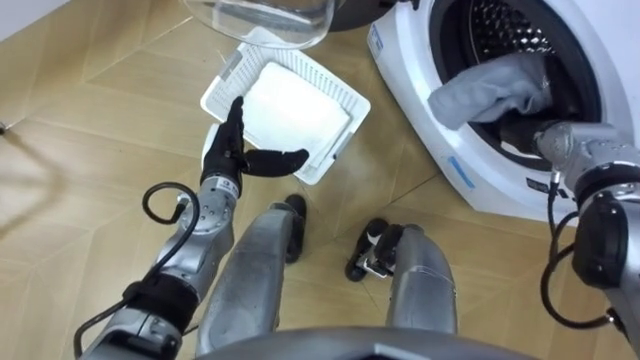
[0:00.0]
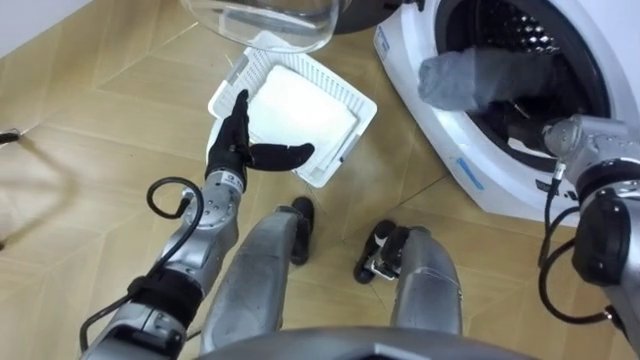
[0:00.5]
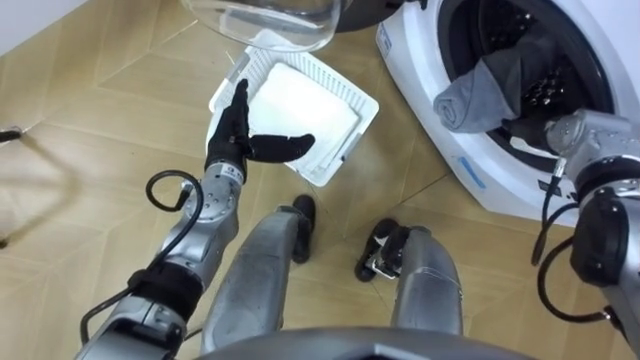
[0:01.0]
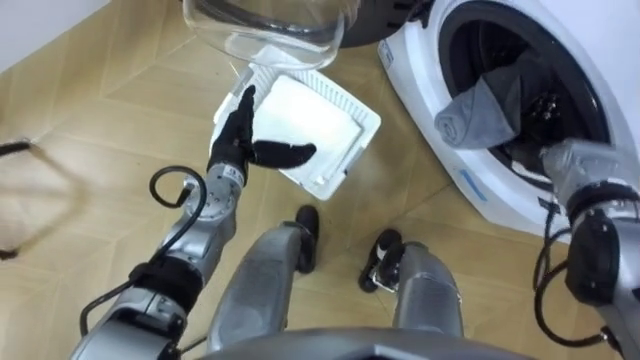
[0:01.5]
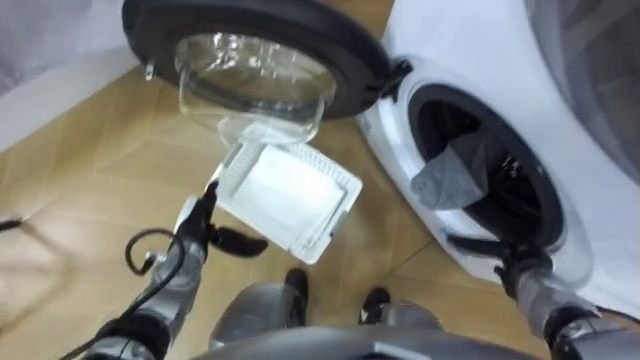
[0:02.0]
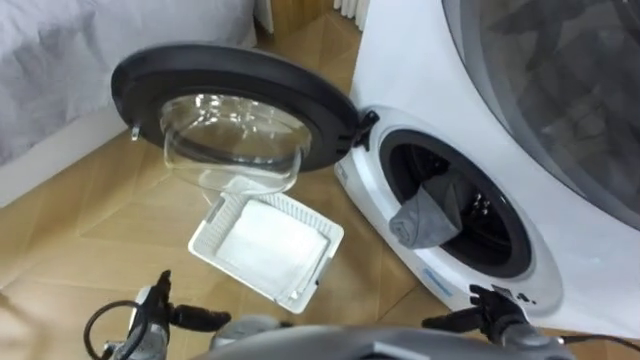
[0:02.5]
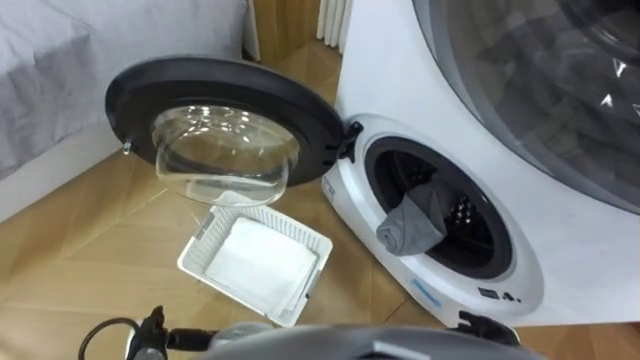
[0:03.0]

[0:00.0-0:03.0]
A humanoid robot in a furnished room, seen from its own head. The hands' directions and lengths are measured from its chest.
Task of the whole recording: Take the towel from the basket and put it into the washing machine.
0:00.0 to 0:01.5: The right hand opens its fingers.
0:01.5 to 0:03.0: The left hand goes some 35 cm backward, downward and to the left. The right hand heads backward and downward, covering some 30 cm.

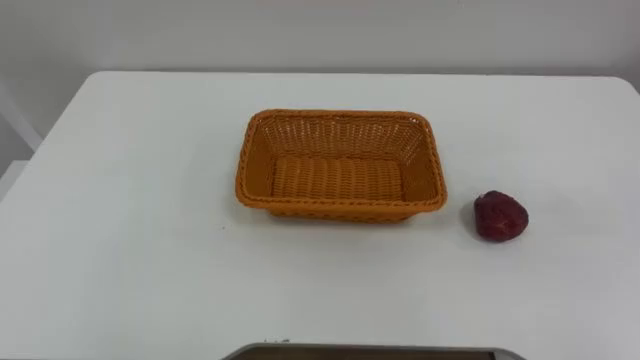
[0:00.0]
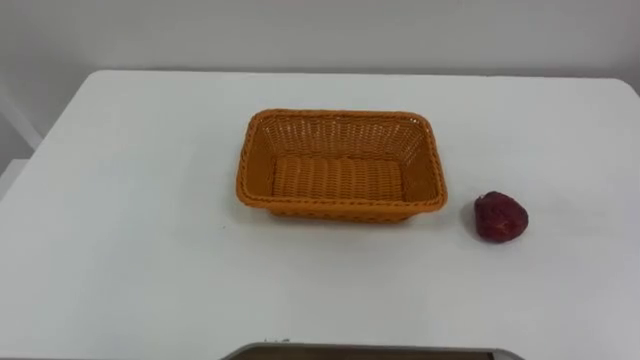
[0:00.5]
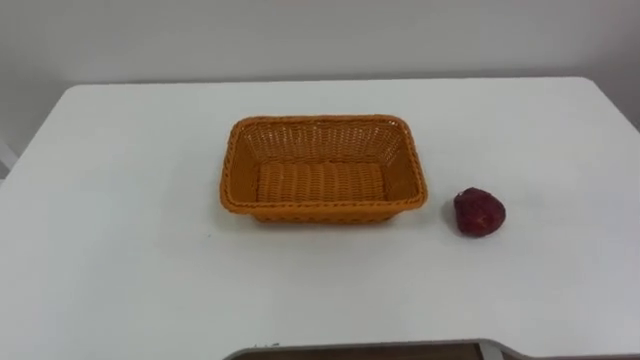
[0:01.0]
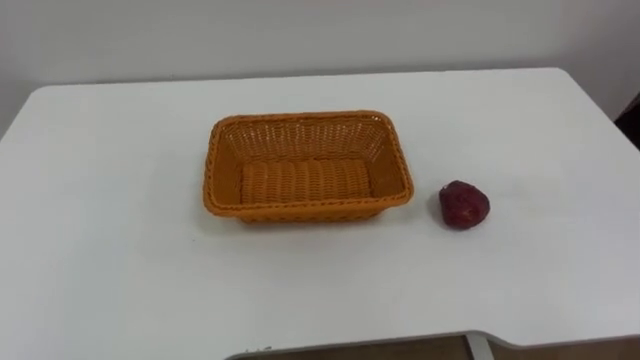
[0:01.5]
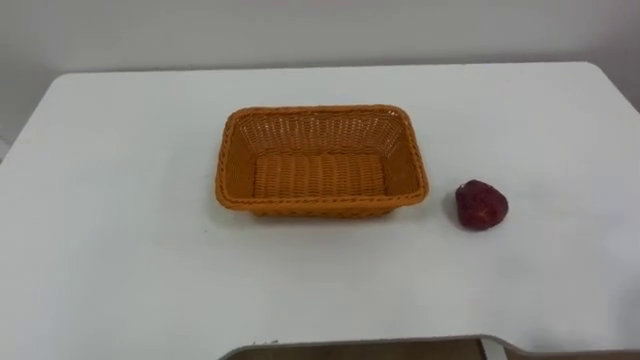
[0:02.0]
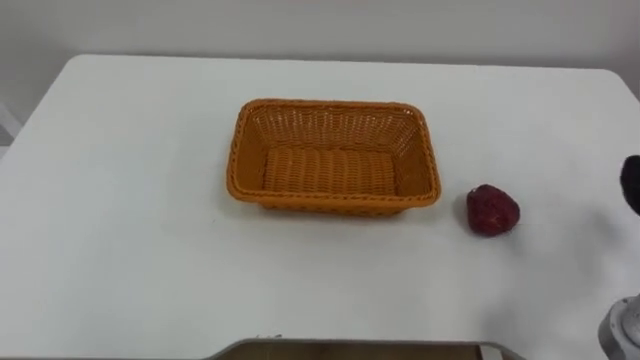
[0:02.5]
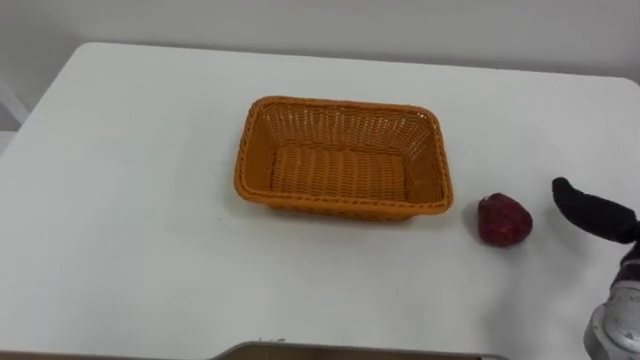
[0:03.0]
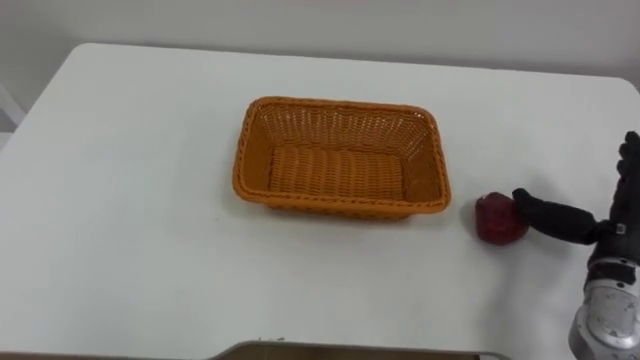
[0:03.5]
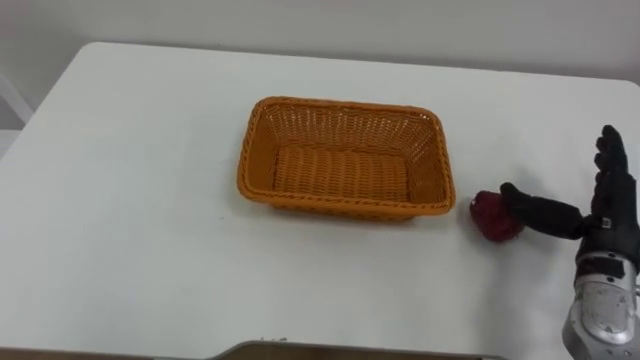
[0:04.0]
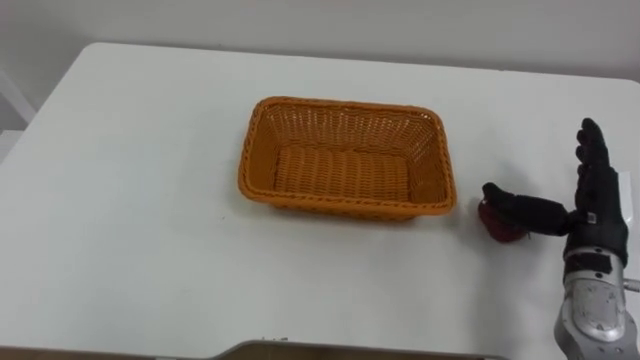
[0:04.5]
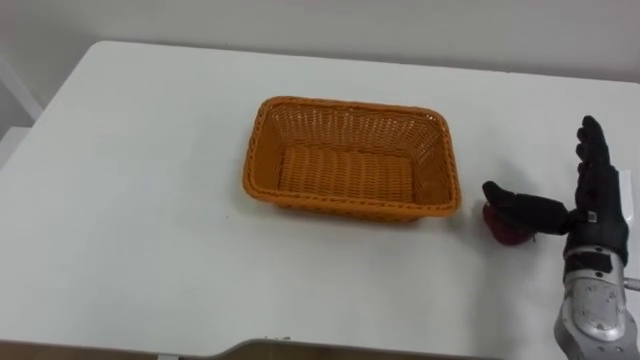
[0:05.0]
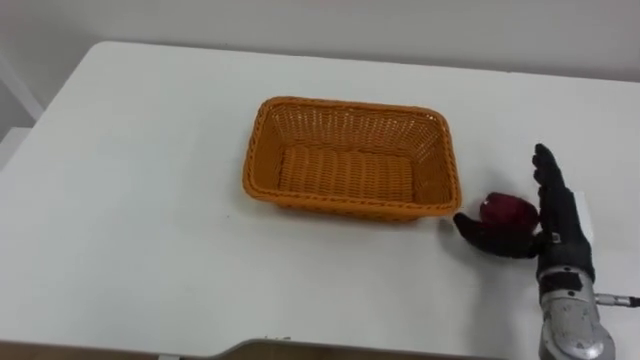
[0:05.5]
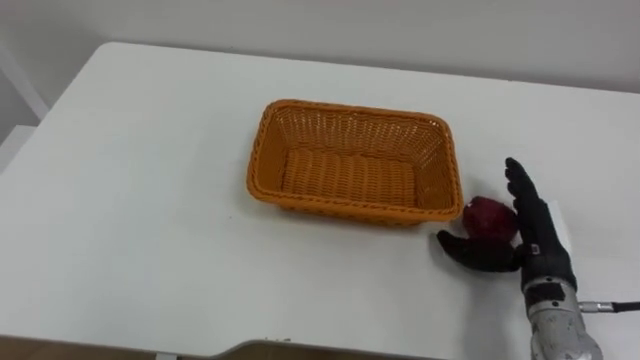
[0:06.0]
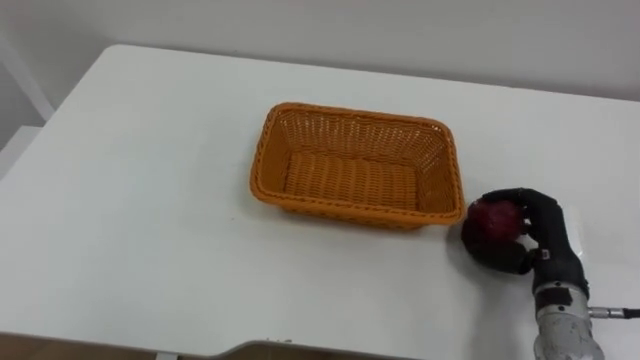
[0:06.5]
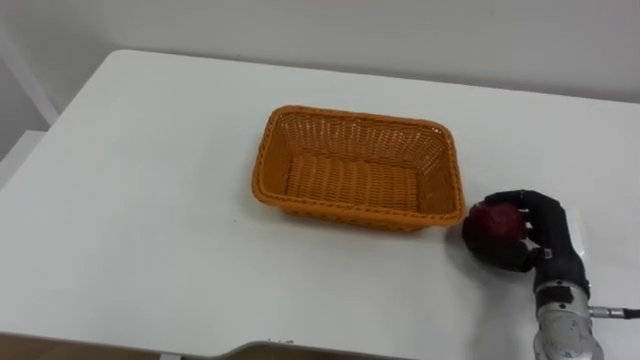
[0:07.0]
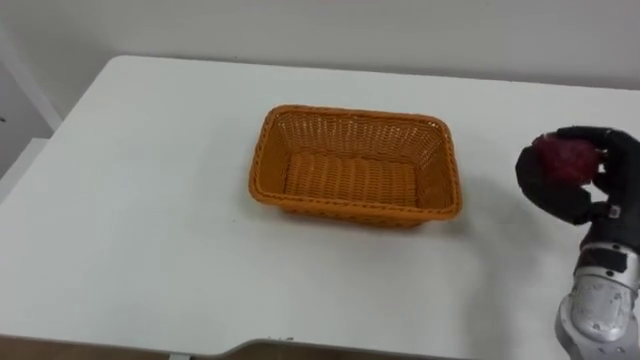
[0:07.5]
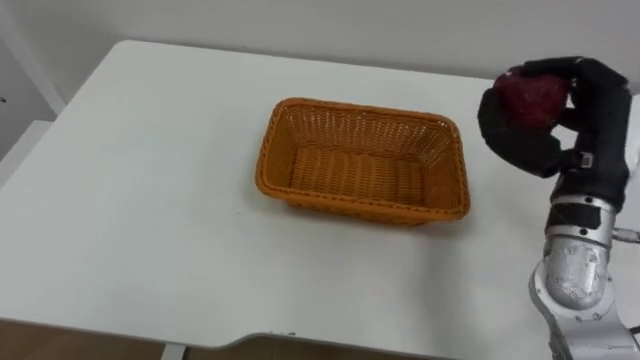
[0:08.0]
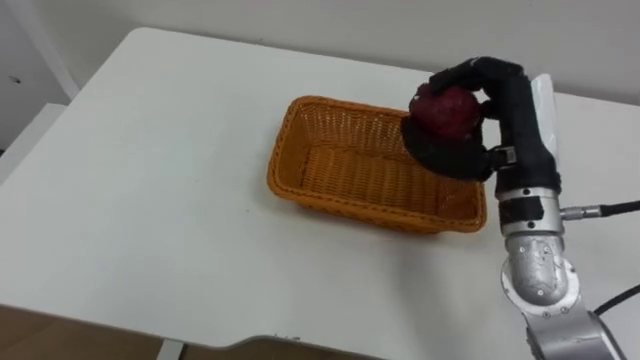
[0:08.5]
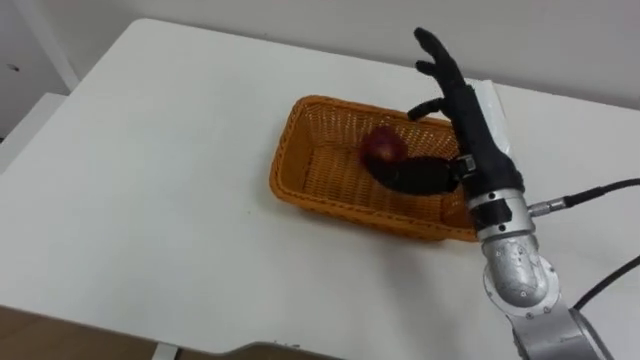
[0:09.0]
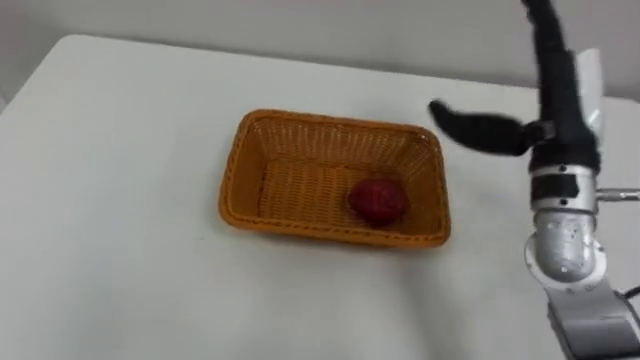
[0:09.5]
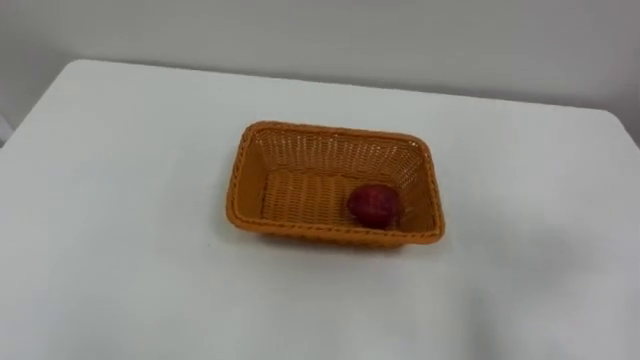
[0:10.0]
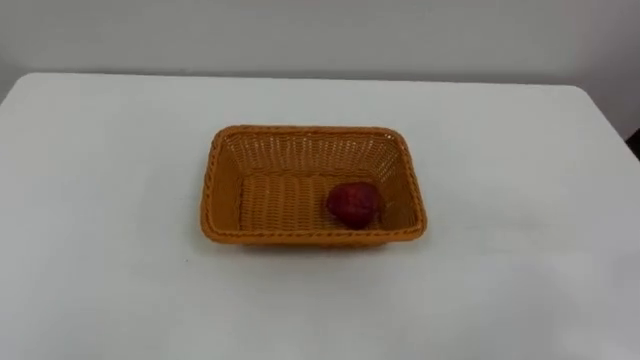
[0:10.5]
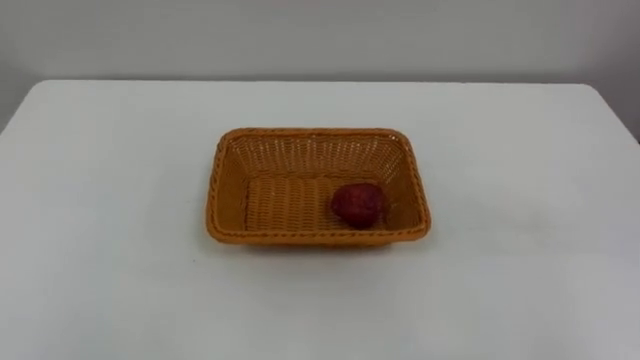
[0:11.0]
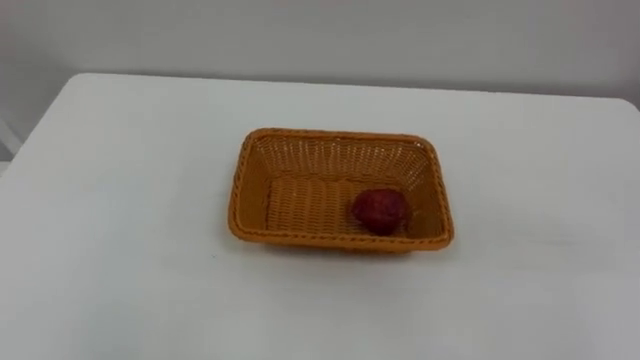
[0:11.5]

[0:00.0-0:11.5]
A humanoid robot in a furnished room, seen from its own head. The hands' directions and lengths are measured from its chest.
Task of the whole recording: Pick the apple and place it in the box.
0:04.0 to 0:06.0: The right hand travels to the left by about 5 cm.
0:06.0 to 0:07.5: The right hand travels upward and to the right by some 10 cm, and closes up.
0:07.5 to 0:09.5: The right hand moves to the left, upward and forward, about 15 cm, and opens up.

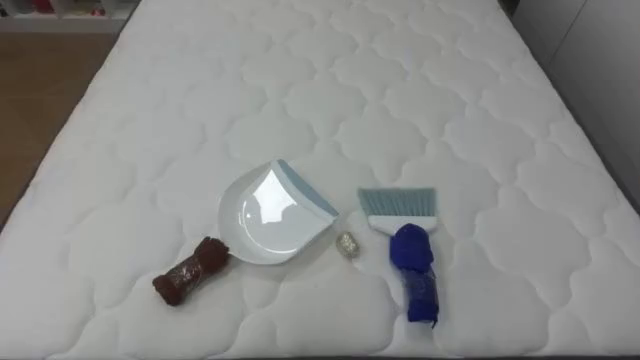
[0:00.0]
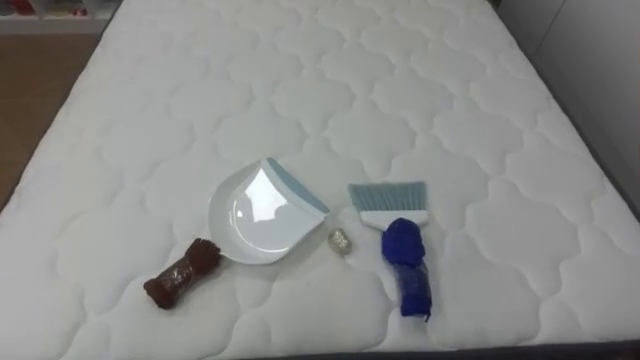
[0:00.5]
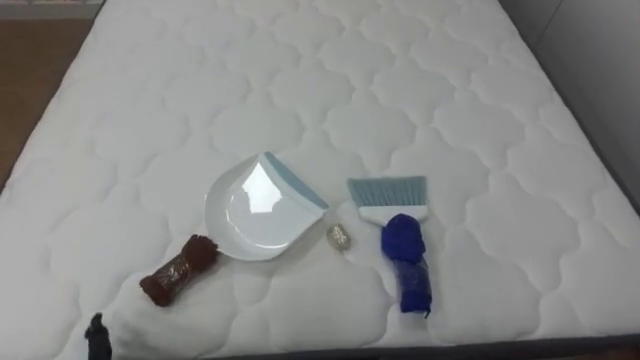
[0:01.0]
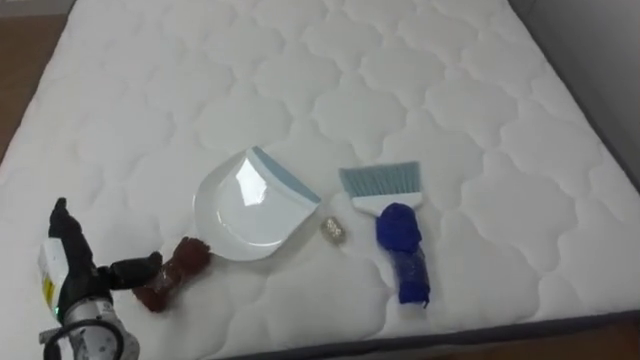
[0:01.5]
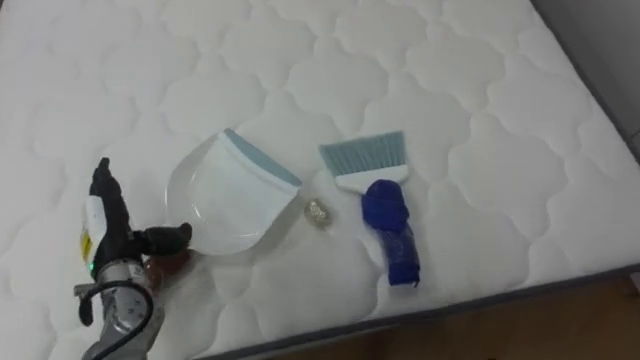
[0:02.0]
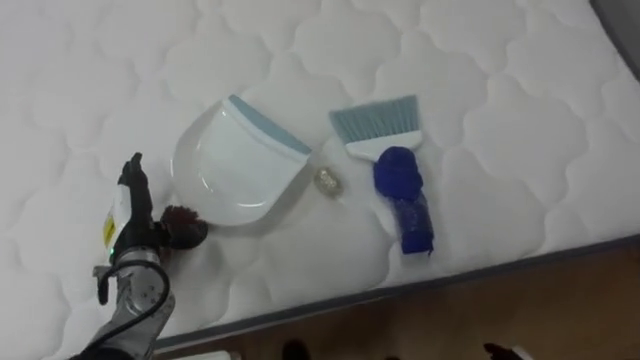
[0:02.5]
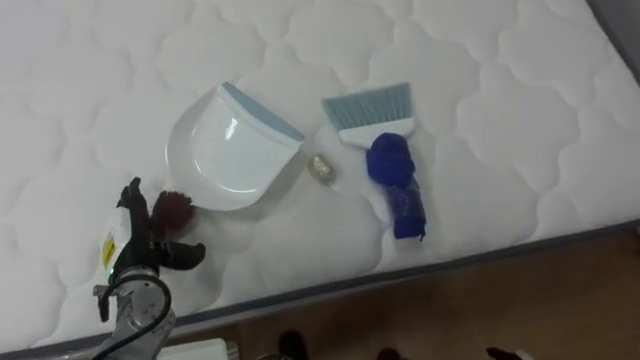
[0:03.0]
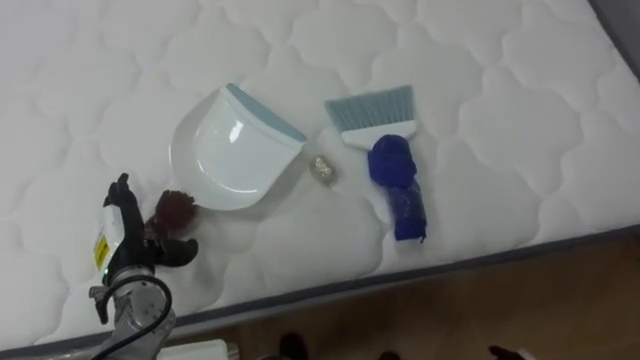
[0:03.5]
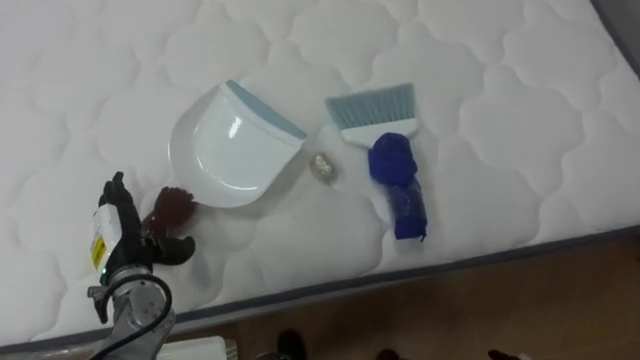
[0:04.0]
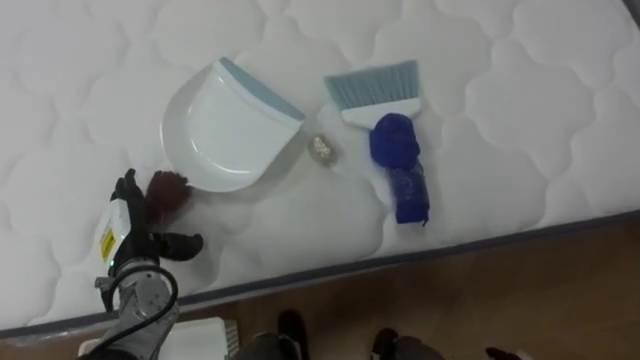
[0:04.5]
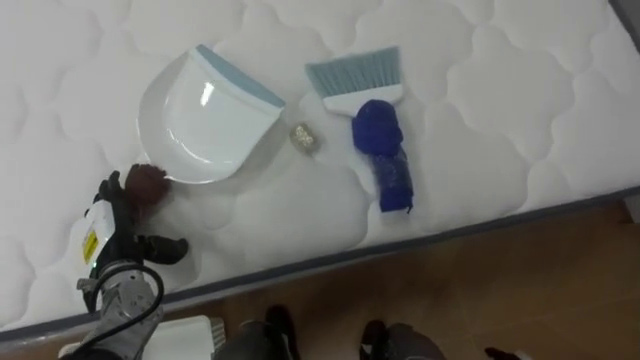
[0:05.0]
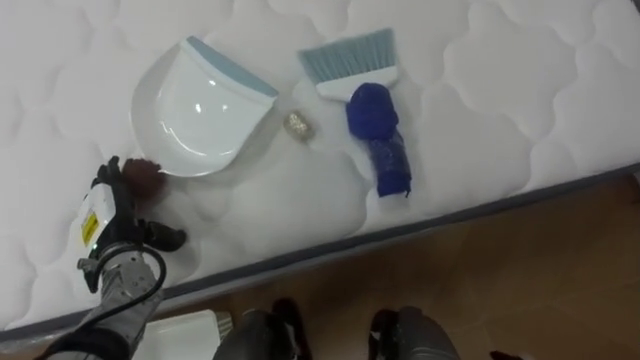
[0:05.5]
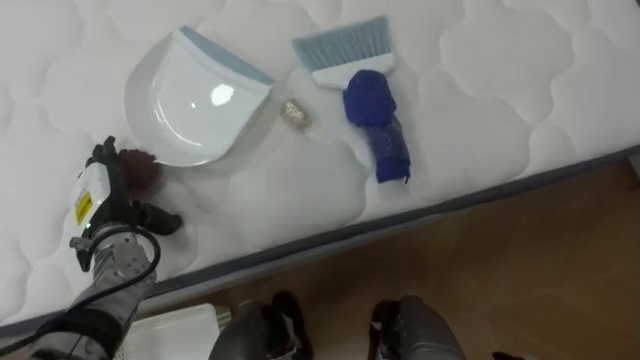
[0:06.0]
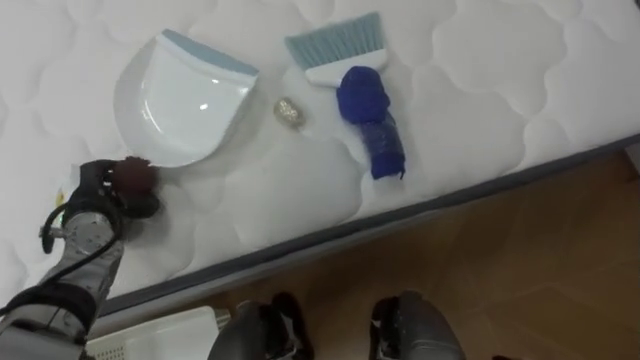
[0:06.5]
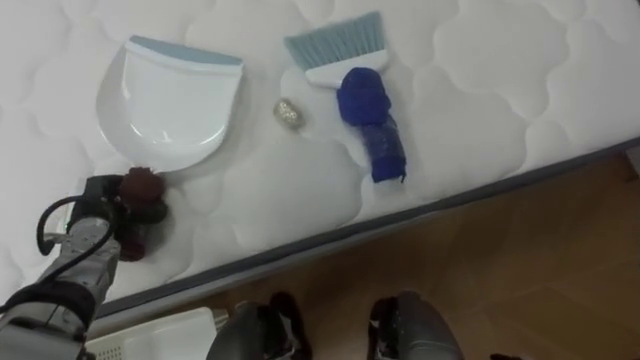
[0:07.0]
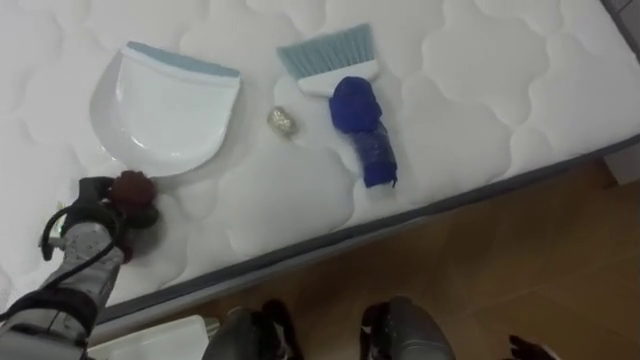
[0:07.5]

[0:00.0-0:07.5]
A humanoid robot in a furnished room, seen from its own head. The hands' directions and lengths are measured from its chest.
Task of the whole recording: Pick up the brush on your right and the dustpan on your left. Use the brush to sweep the crumpled paper on the bed into the dustpan, then turn left and empty it into the basket.
0:05.5 to 0:07.5: The left hand closes up.
